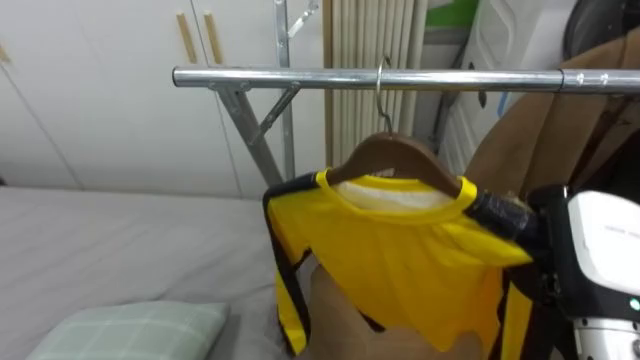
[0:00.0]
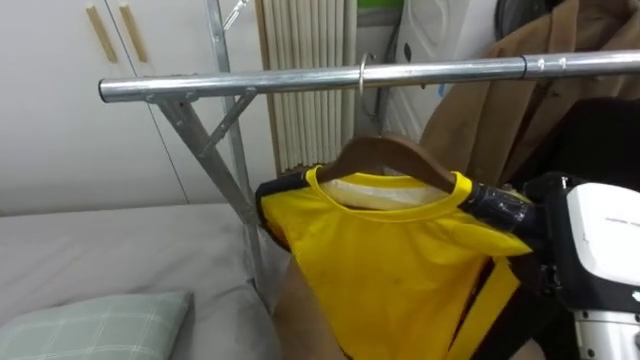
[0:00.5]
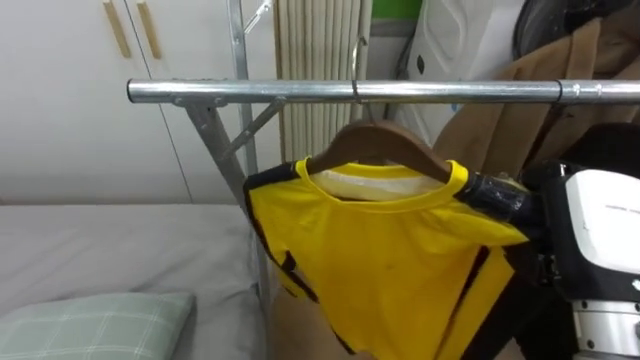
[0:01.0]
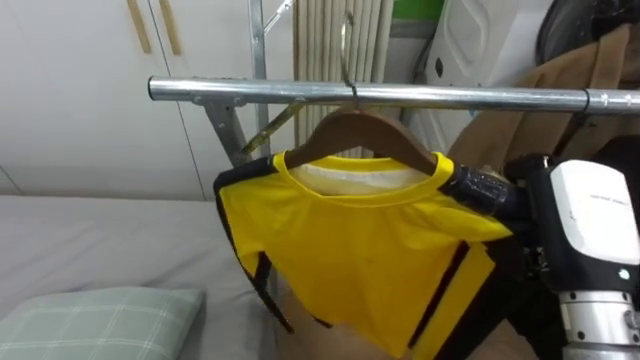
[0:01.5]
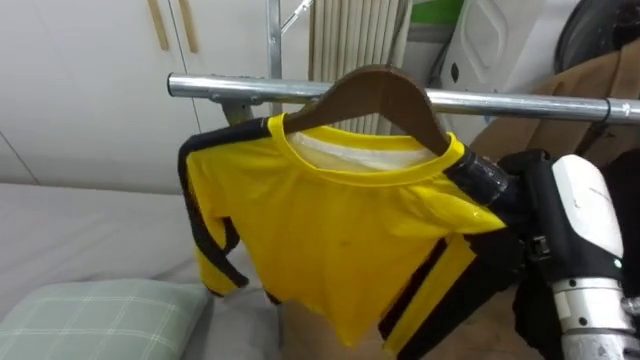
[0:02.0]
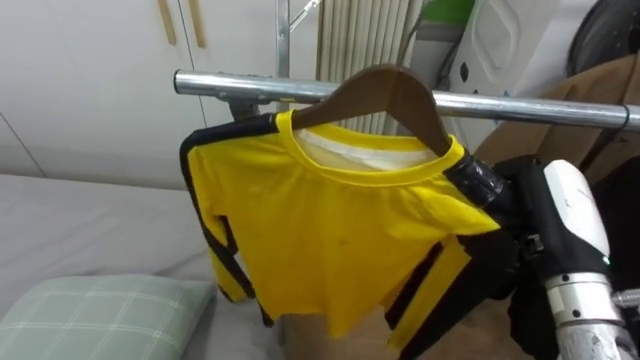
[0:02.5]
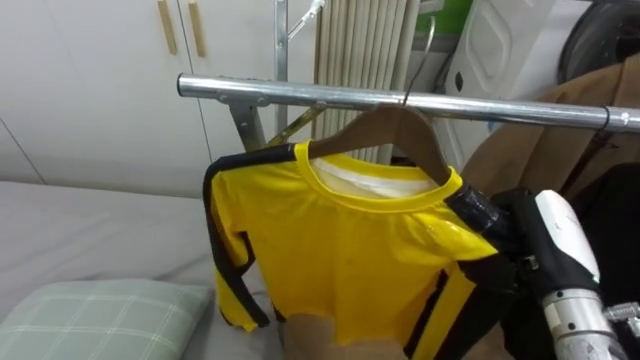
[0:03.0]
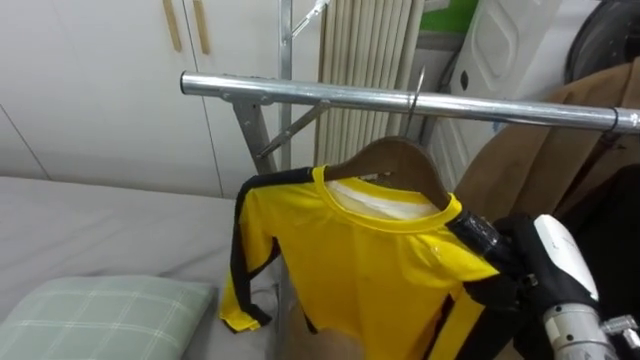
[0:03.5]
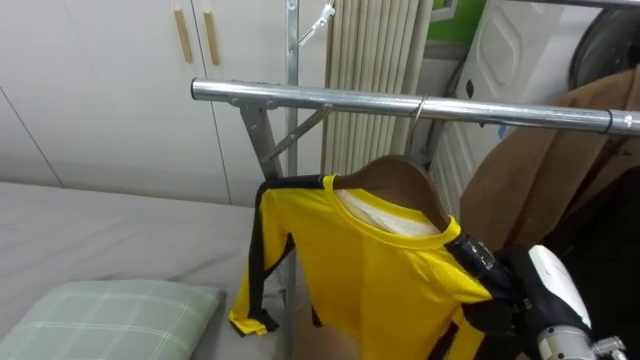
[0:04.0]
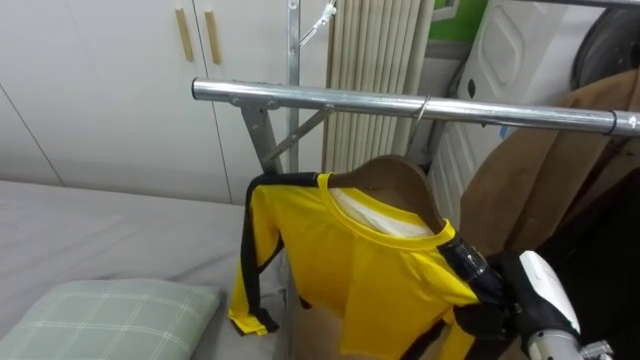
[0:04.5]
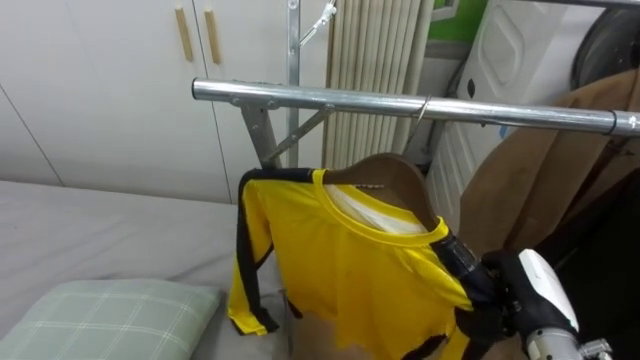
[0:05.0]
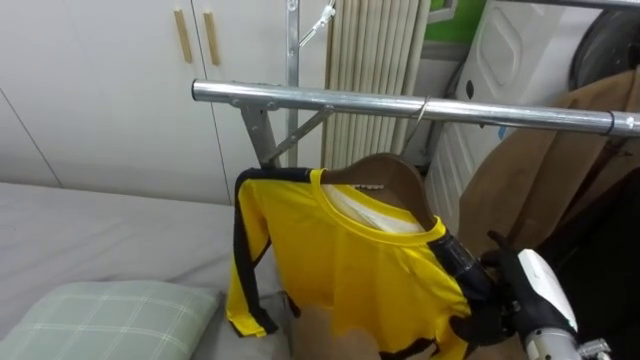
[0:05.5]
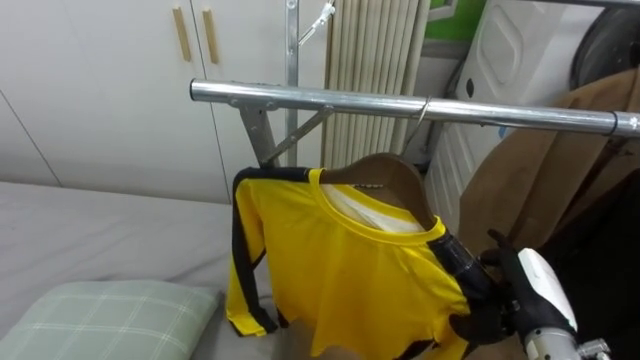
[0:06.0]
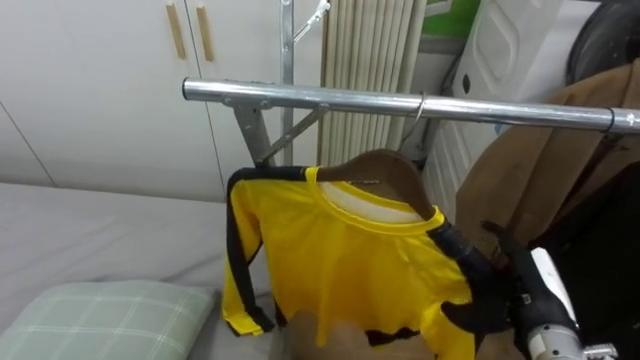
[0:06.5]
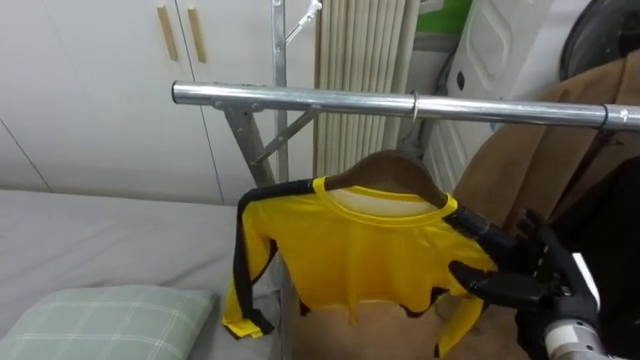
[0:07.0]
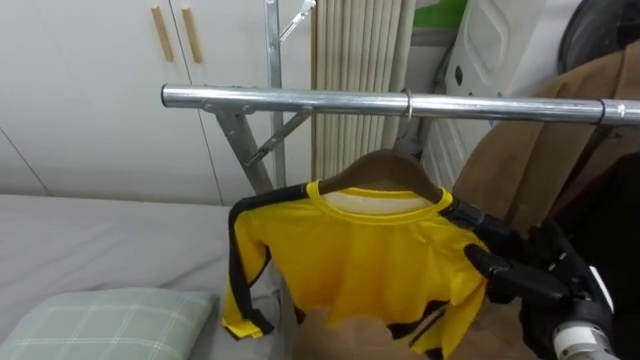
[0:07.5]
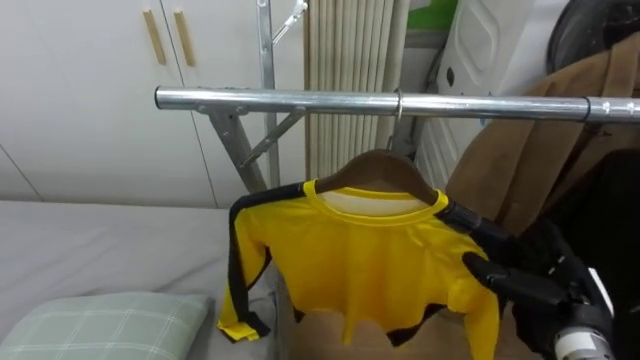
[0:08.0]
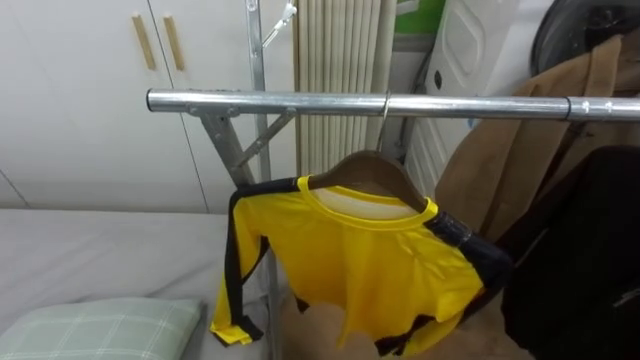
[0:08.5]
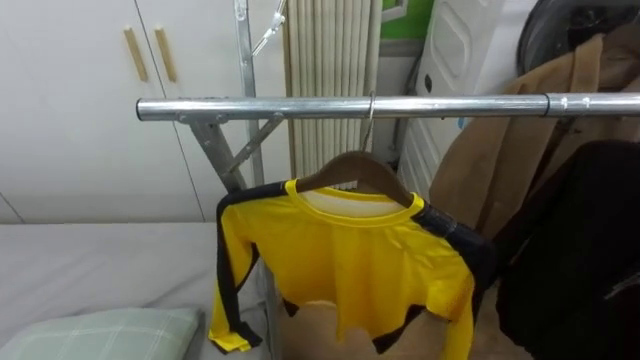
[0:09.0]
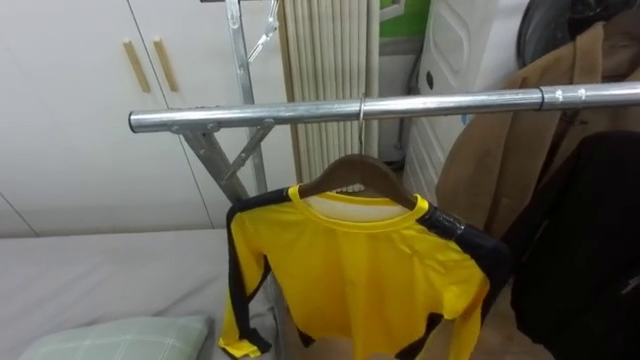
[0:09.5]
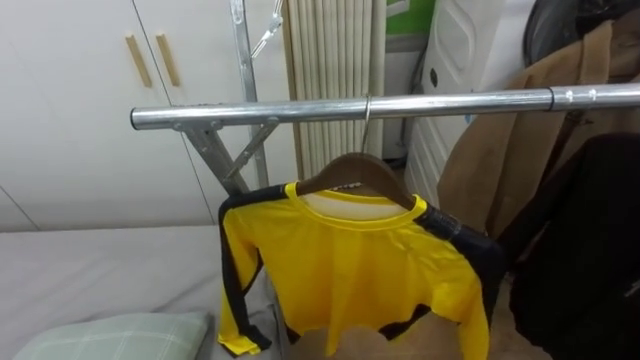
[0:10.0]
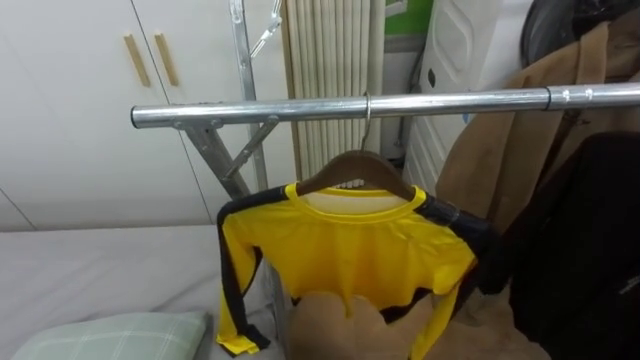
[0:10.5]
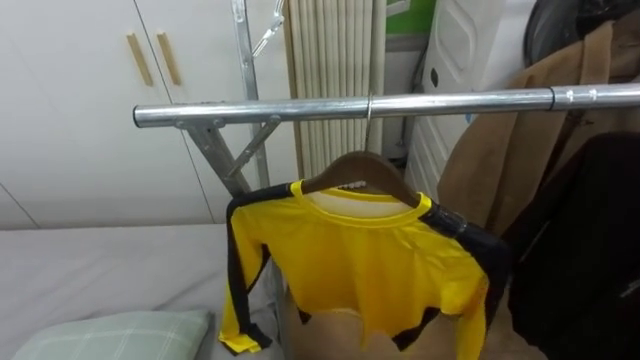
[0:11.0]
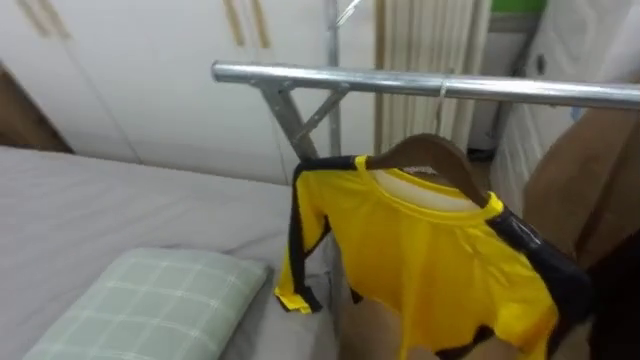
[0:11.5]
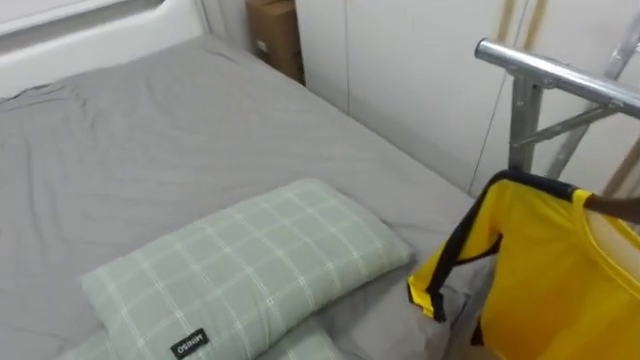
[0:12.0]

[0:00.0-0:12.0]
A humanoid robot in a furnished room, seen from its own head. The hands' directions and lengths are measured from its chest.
Task of the whole recording: Pick up the yellow shirt on the bed and hang it on the clothes rack on the right.
0:02.0 to 0:04.0: The right hand heads downward, covering about 15 cm.
0:04.0 to 0:06.0: The right hand opens.
0:10.0 to 0:12.0: The robot faces approximately 50 degrees further to its left.

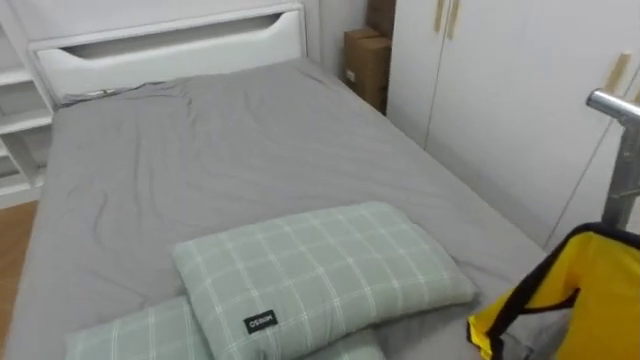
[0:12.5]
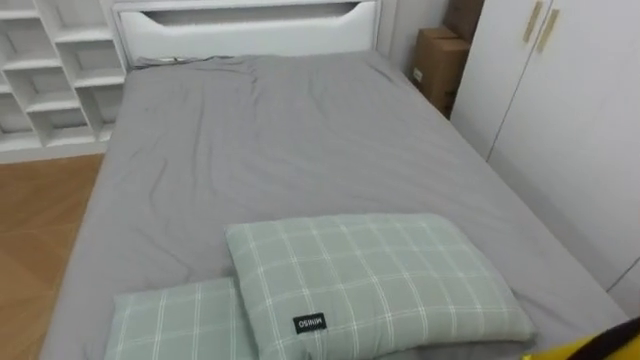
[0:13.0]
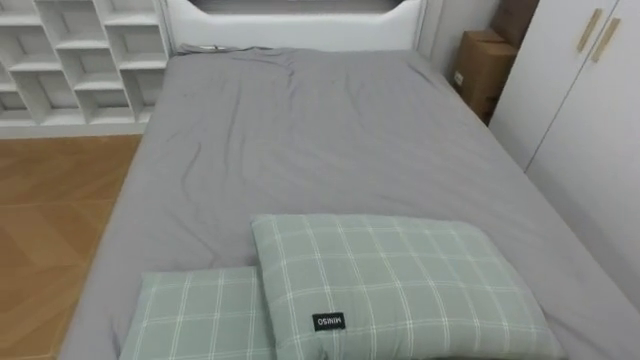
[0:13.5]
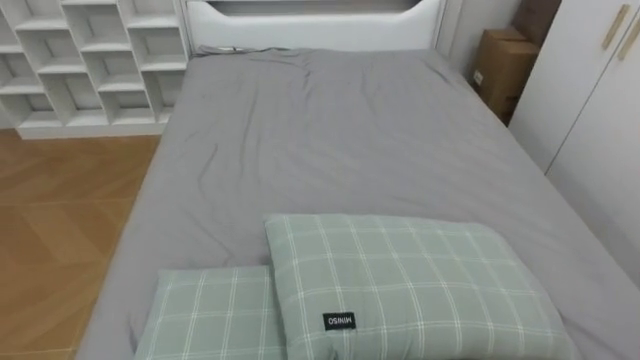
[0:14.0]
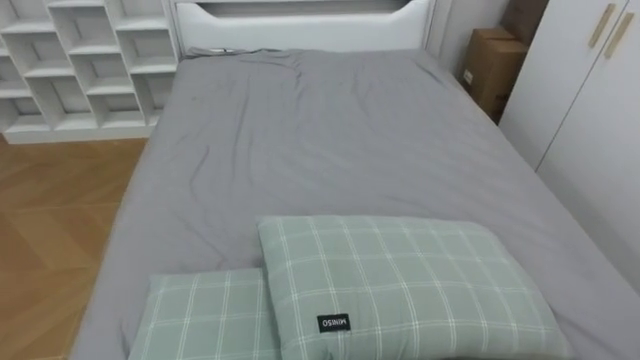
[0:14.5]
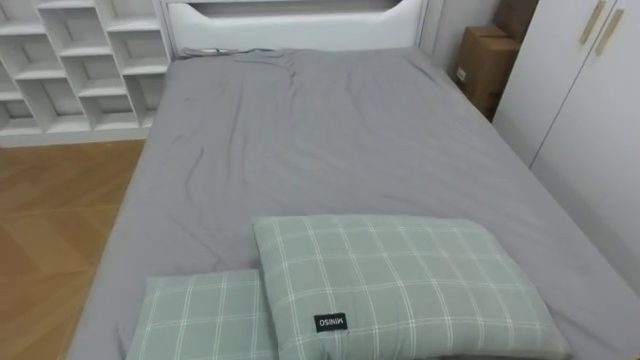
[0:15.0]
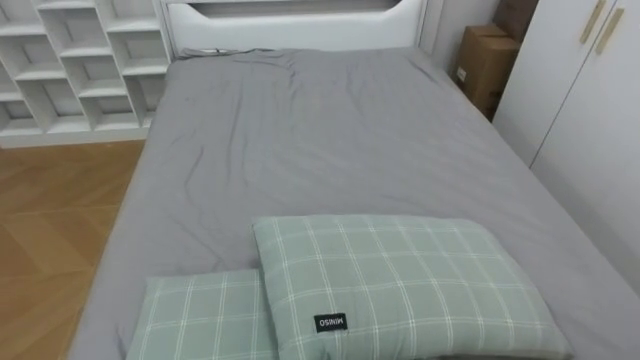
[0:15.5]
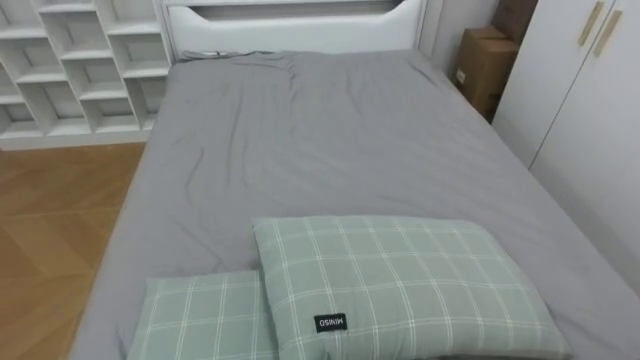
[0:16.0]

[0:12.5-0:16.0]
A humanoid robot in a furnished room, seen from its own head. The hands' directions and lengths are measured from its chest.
Task of the whole recording: Pick up the yellow shirt on the bed and hang it on the clothes rack on the right.
0:12.5 to 0:14.5: The robot's body swings about 15 degrees to its left.

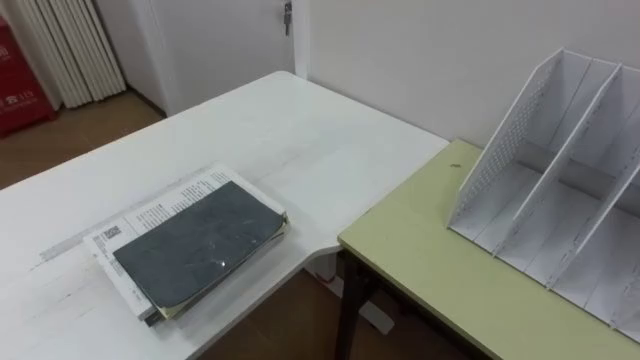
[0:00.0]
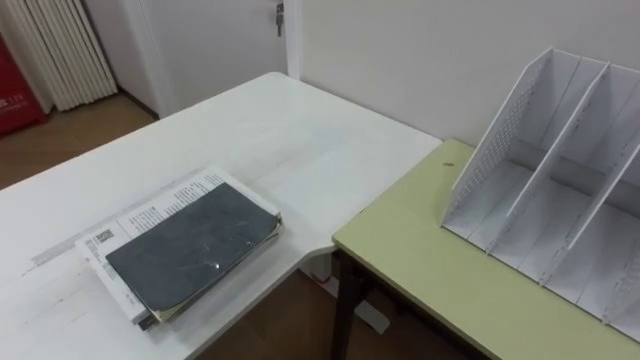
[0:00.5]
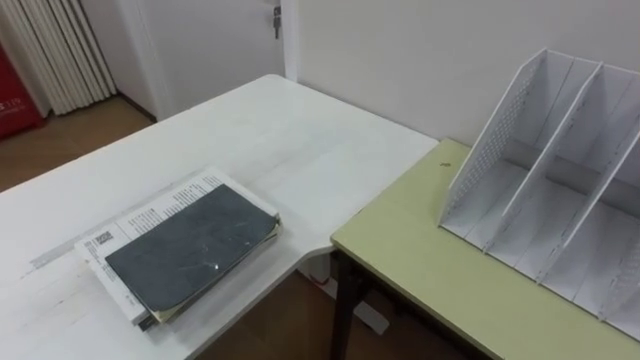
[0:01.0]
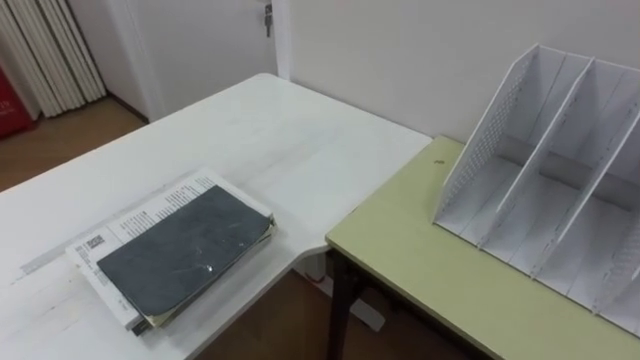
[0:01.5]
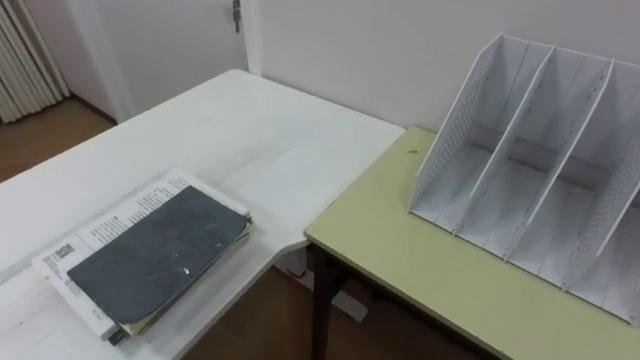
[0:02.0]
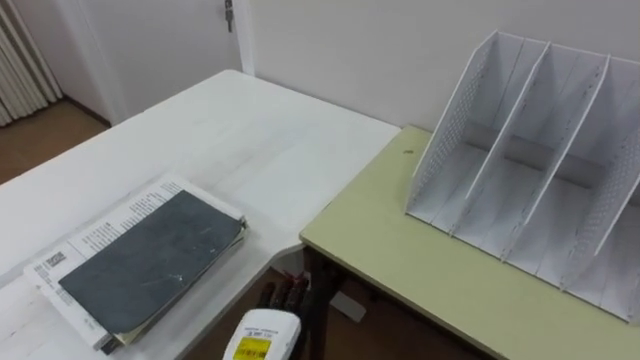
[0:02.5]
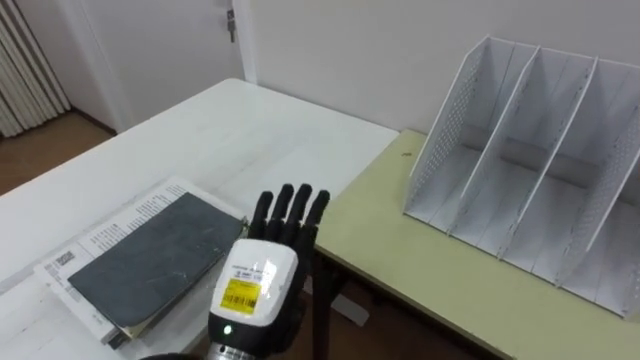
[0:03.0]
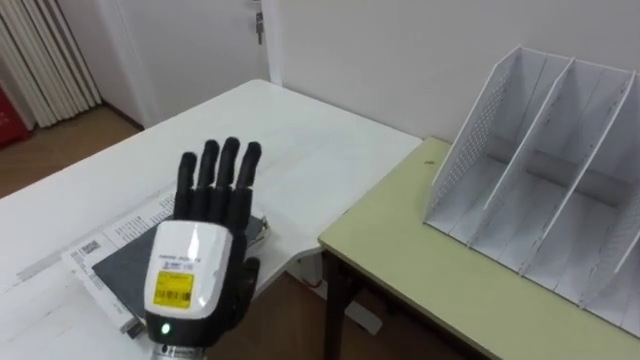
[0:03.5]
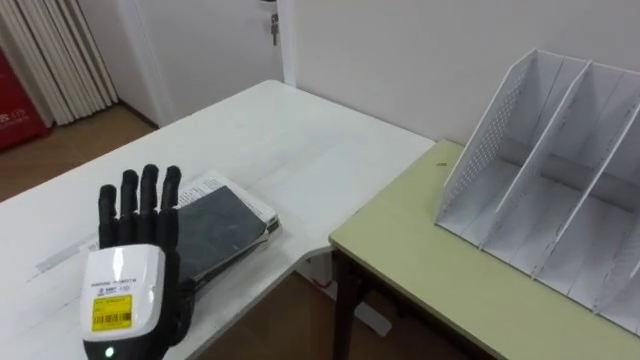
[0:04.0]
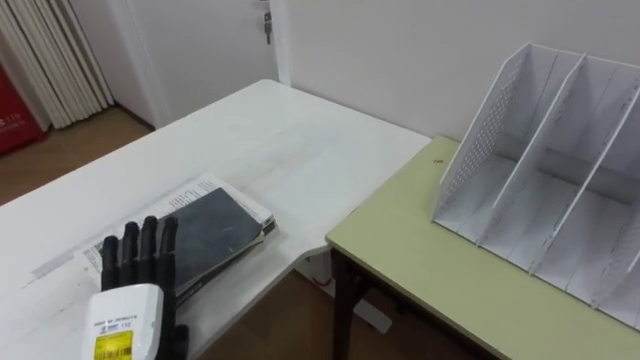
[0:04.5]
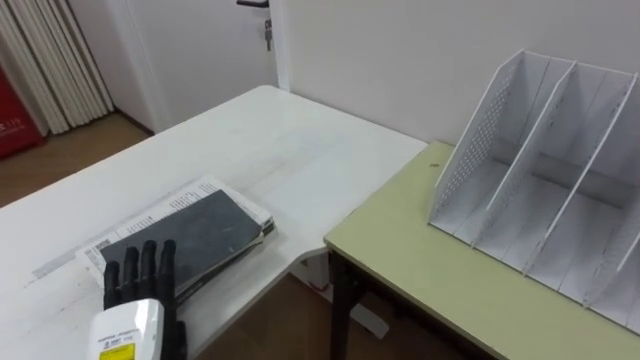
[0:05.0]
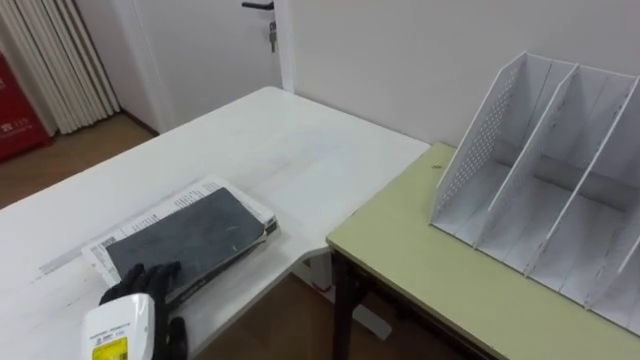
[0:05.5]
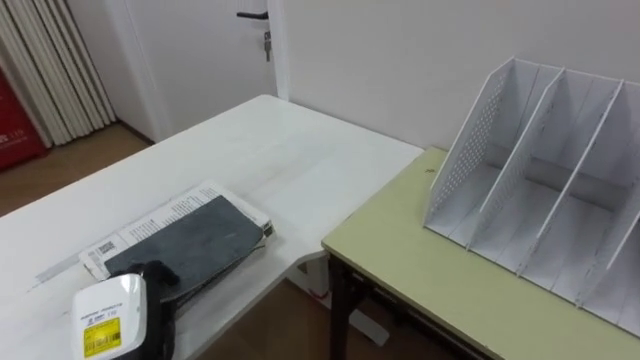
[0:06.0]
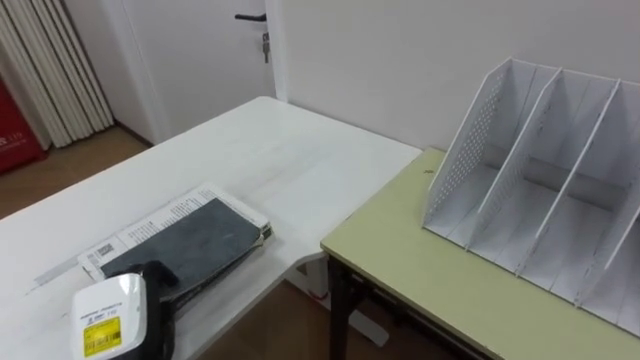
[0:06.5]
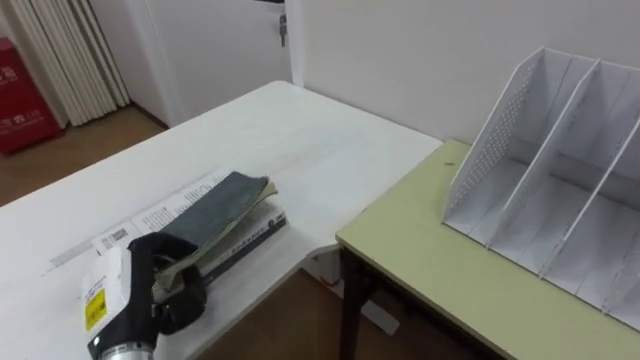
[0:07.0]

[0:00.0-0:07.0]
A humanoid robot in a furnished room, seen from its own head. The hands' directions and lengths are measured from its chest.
Task of the whole recording: Put the books on the table onto the bookshelf.
0:03.5 to 0:05.0: The left hand shifts roughly 15 cm downward and to the left.
